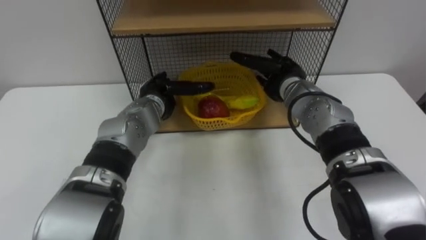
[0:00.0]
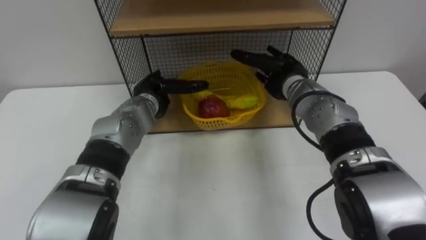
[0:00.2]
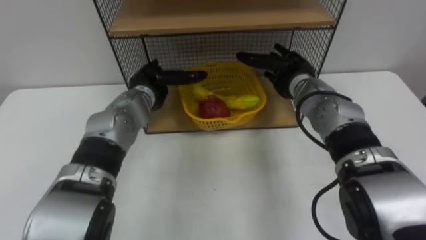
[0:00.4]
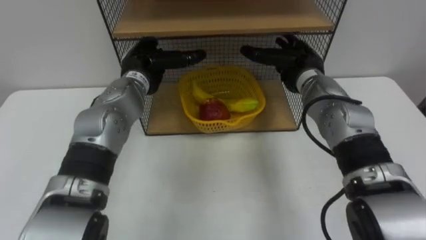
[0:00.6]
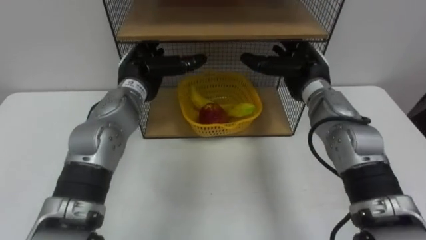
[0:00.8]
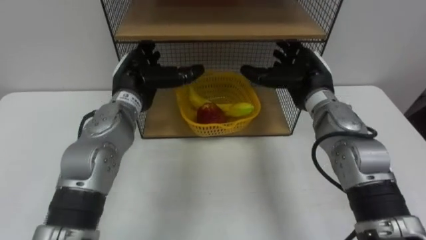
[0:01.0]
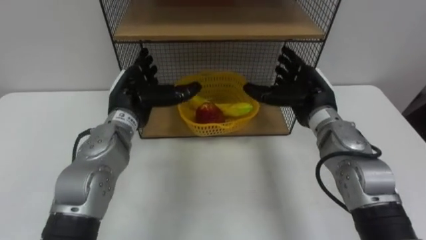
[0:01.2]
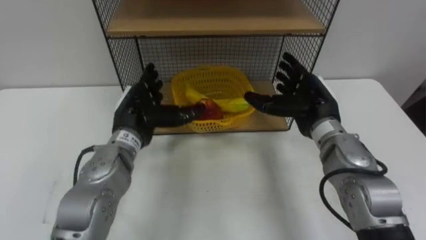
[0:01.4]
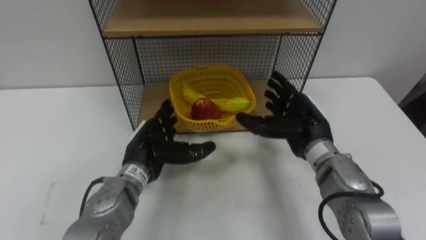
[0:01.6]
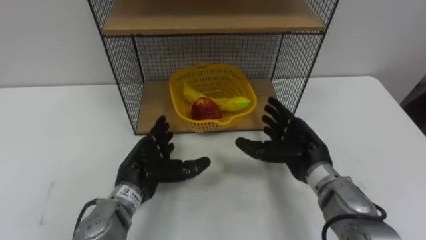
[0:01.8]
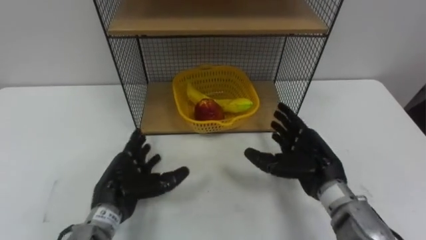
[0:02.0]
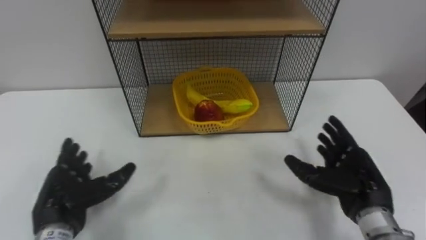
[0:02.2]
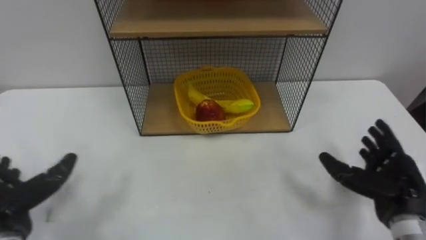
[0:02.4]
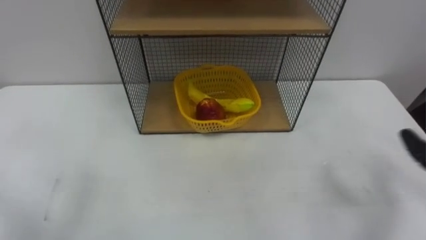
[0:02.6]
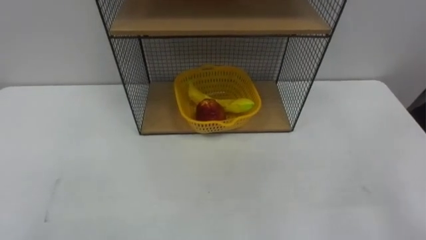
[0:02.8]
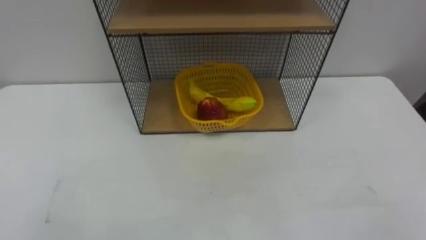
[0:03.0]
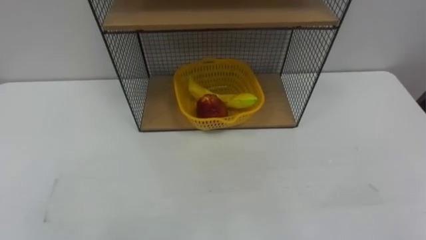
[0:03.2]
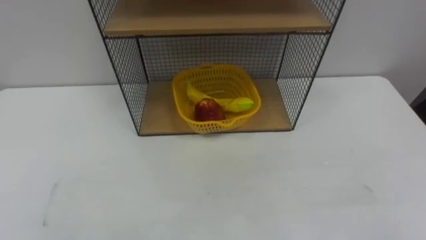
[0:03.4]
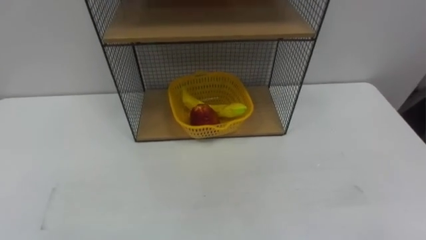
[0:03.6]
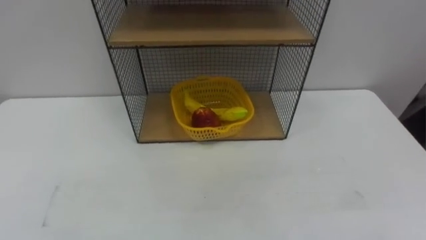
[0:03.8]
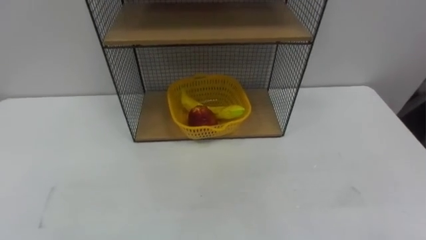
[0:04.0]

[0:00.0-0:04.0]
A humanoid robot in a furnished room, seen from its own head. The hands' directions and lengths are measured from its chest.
Task of the whole recording: Put the fruit on the table into the basket, then place the basket on the shelf.
0:00.0 to 0:01.4: The hands both shift backward by some 10 cm.

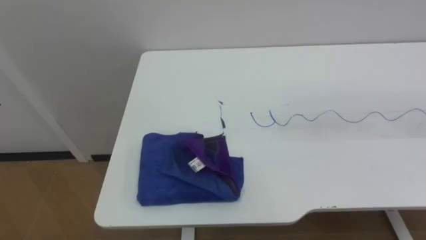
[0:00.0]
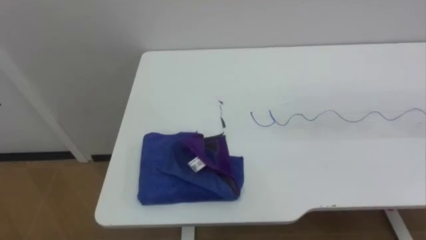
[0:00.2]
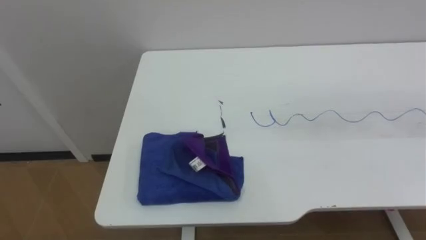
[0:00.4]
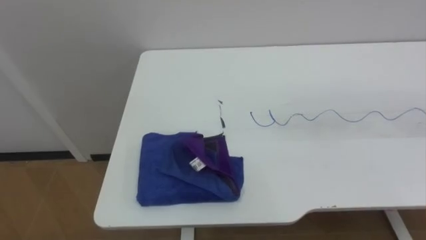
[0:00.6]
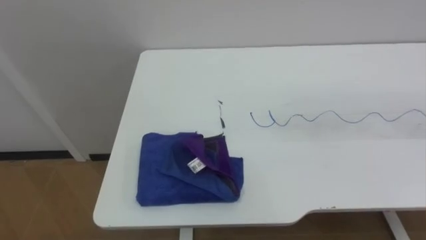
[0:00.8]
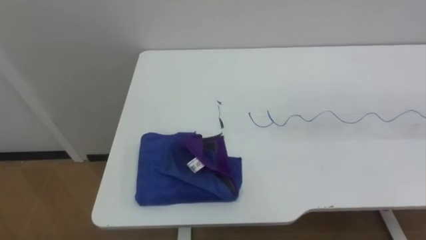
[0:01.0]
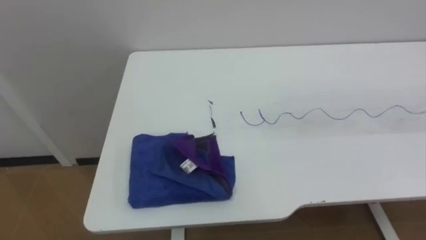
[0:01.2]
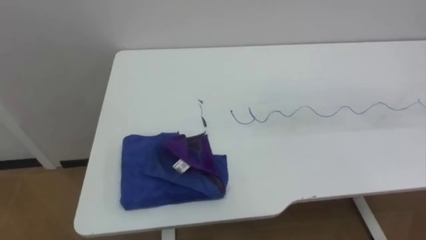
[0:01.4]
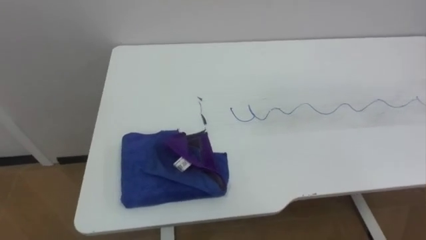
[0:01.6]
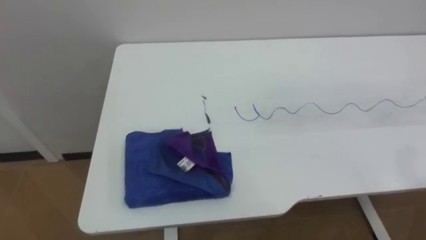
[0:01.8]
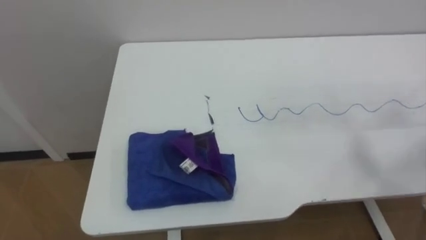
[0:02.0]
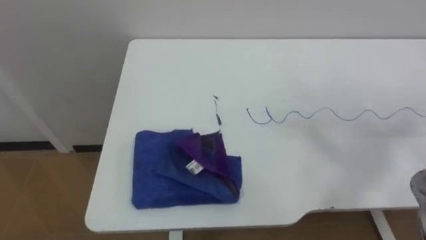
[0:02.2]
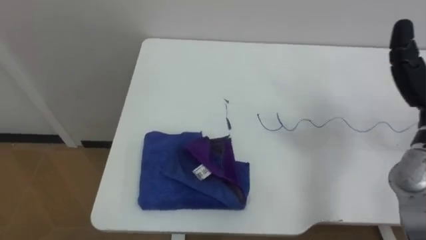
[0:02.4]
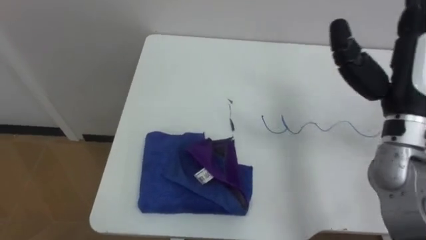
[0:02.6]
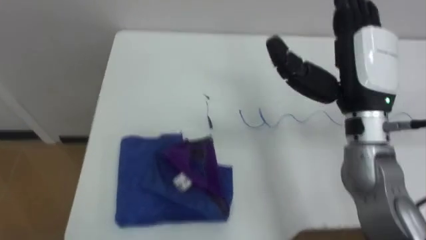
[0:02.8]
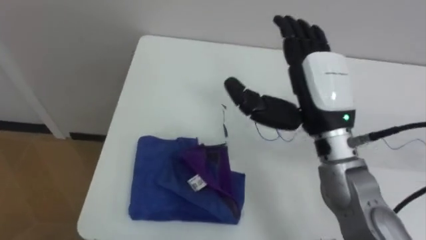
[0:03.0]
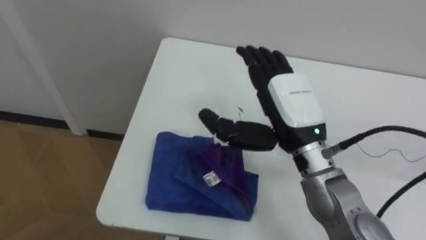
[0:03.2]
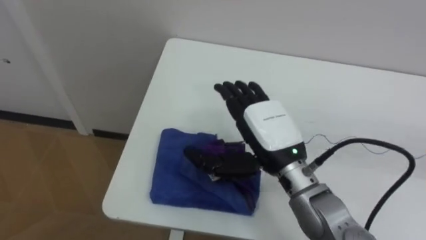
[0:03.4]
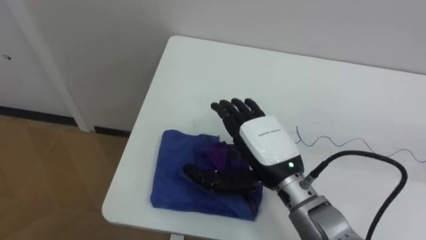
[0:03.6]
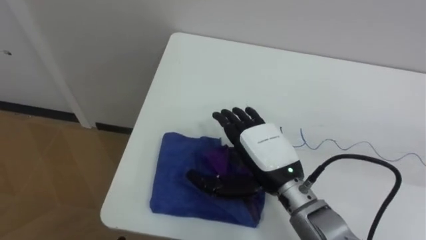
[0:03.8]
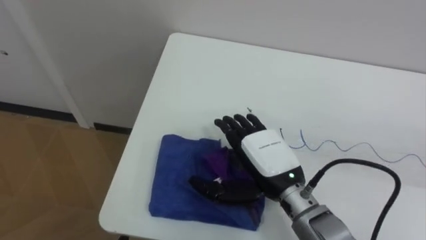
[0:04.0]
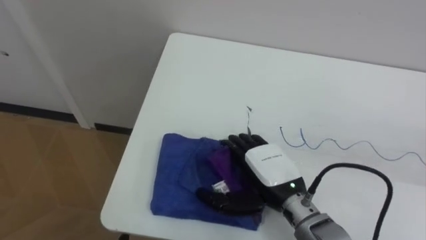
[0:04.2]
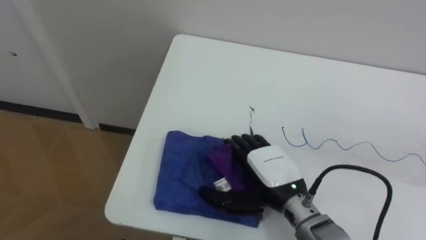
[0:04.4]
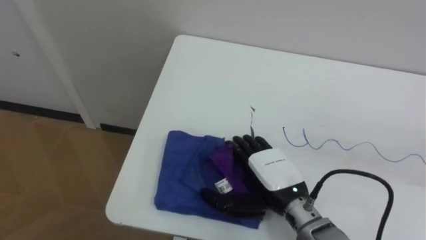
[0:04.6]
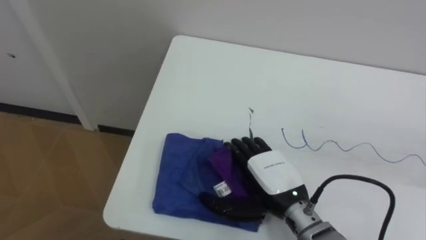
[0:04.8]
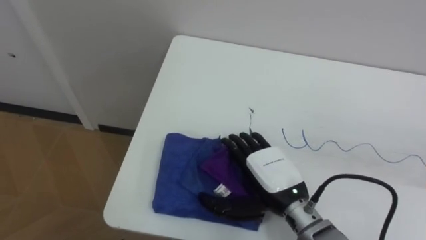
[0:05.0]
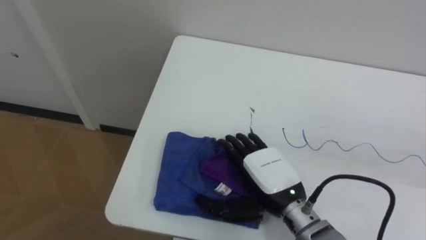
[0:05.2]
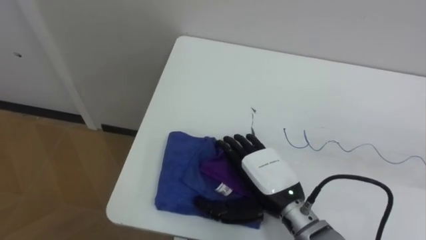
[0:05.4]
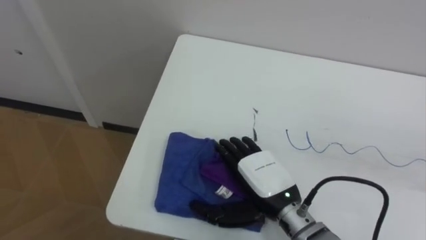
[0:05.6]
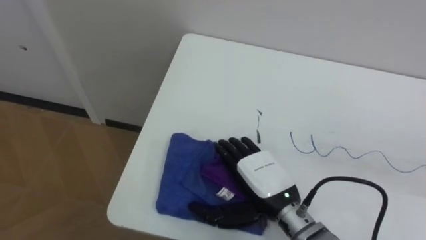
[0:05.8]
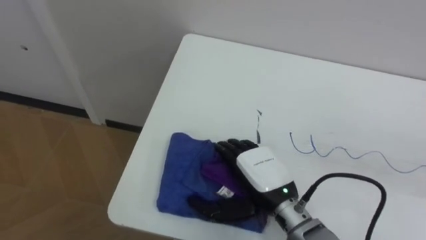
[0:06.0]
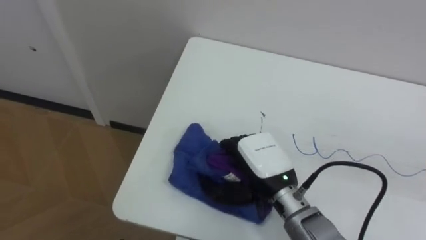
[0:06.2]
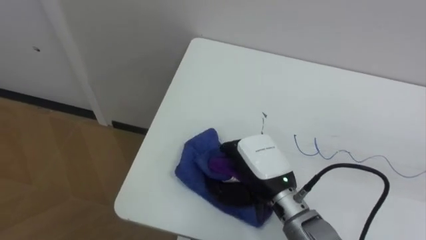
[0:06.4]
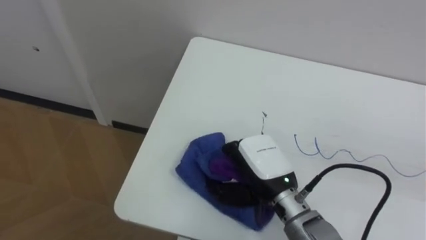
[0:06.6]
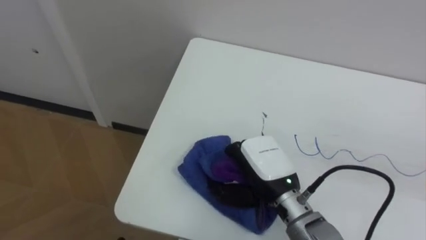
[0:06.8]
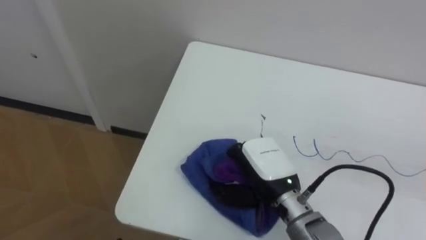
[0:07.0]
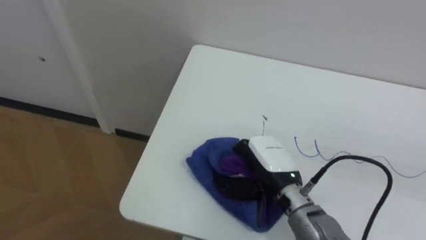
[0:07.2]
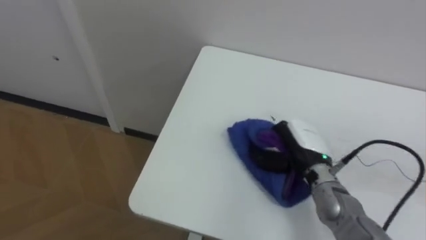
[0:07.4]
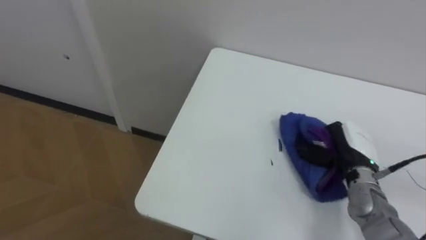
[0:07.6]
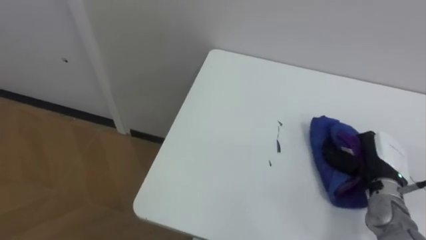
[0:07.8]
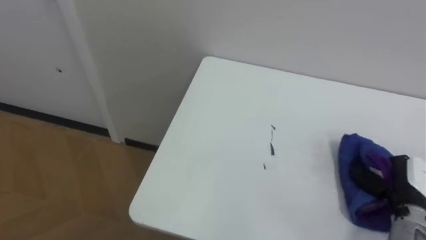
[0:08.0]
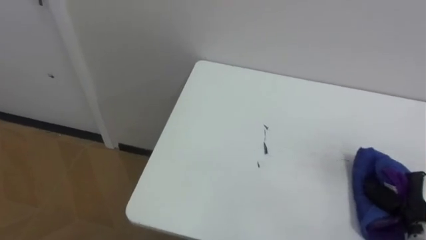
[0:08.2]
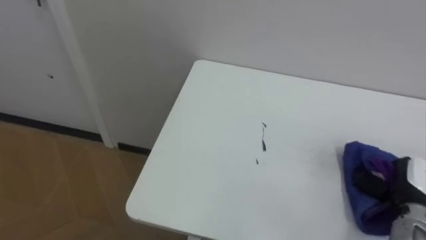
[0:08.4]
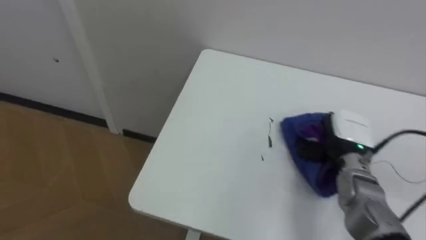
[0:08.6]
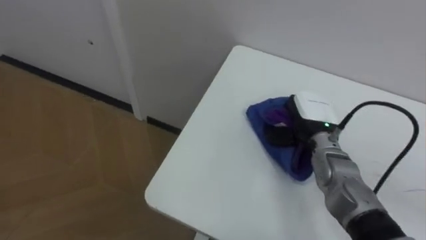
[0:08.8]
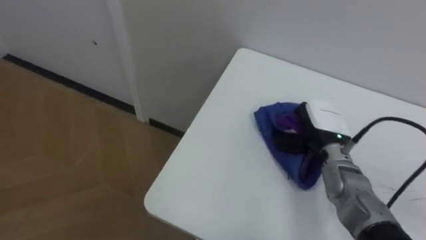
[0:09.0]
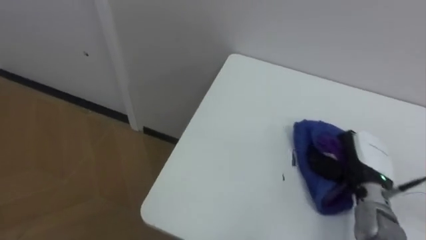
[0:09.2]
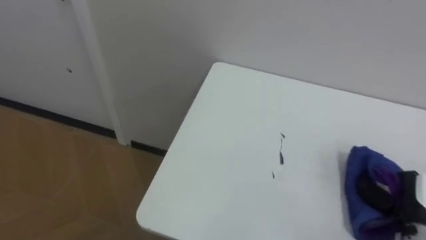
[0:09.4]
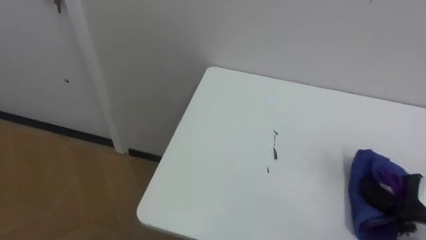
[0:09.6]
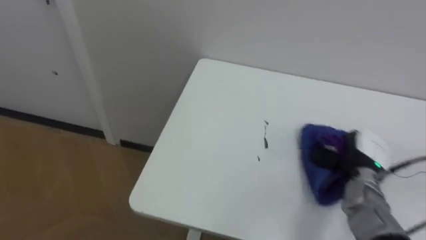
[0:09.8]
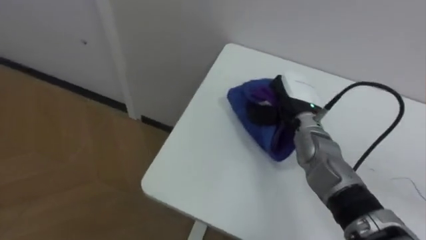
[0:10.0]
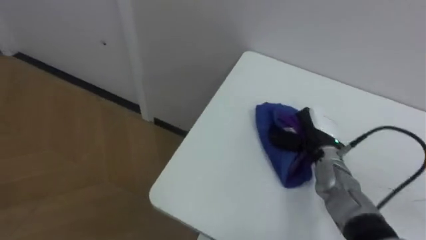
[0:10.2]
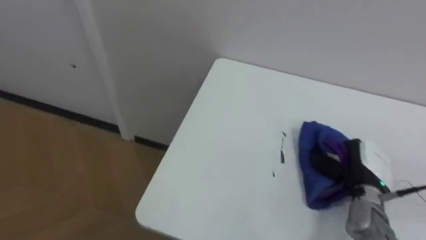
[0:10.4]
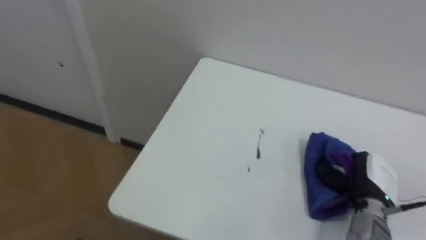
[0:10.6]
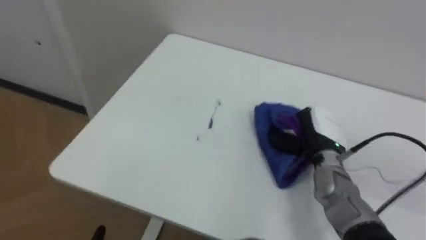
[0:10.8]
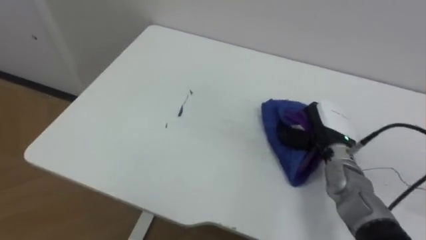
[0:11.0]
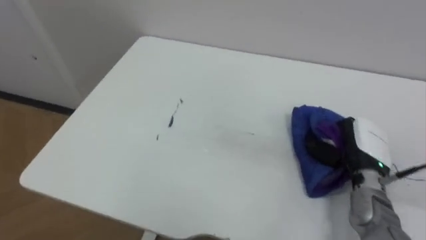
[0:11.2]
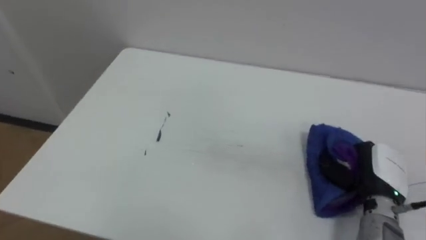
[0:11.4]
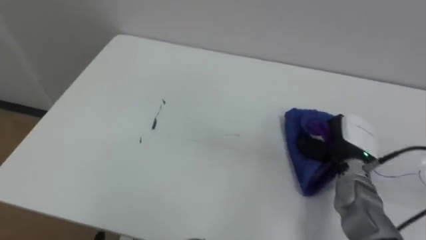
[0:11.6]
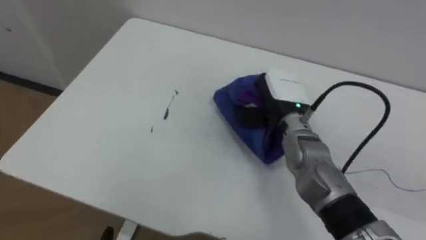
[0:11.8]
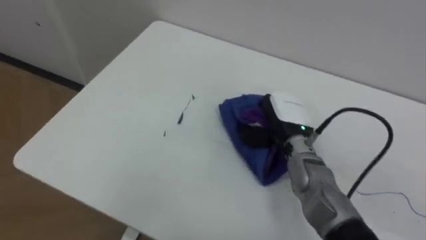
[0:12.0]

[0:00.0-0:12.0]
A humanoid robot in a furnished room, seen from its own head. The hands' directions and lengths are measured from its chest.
Task of the whole recording: Wipe the blue pen marks off the table with the rag.
0:03.0 to 0:04.4: The right hand travels downward by about 15 cm.
0:06.0 to 0:07.6: The right hand shifts about 20 cm to the right, and closes its fingers.
0:07.6 to 0:09.0: The right hand moves some 10 cm to the right and comes back.
0:09.0 to 0:10.4: The right hand swings left and right, approximately 20 cm each way, with 2 reversals.
0:10.4 to 0:12.0: The right hand moves left and right over about 20 cm, changing direction 2 times.

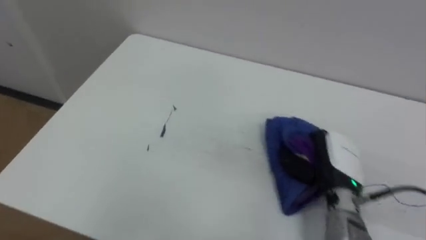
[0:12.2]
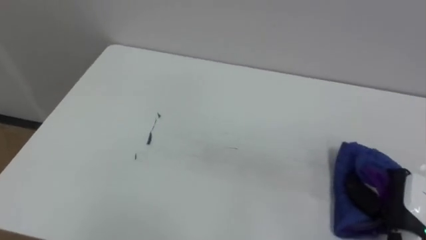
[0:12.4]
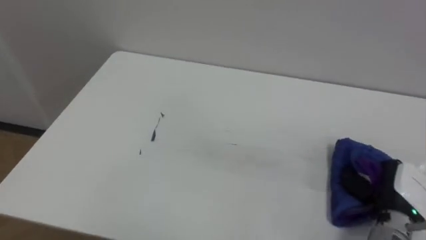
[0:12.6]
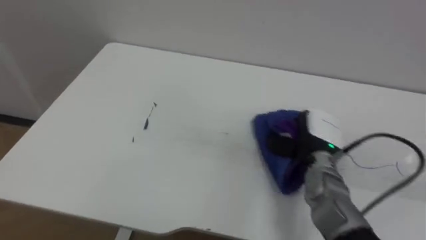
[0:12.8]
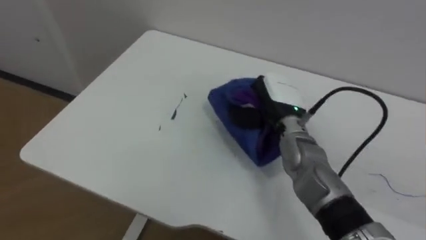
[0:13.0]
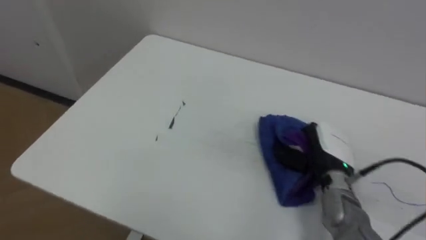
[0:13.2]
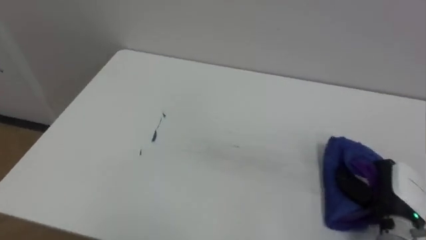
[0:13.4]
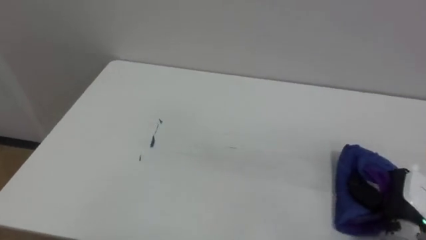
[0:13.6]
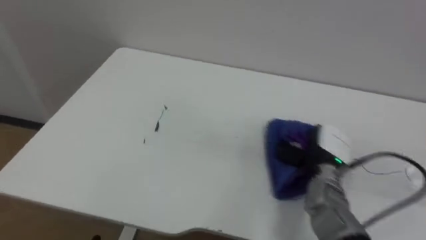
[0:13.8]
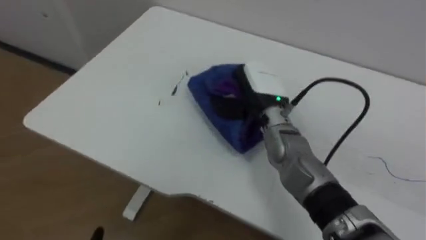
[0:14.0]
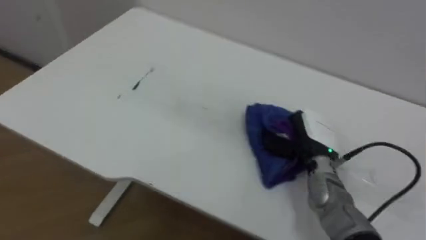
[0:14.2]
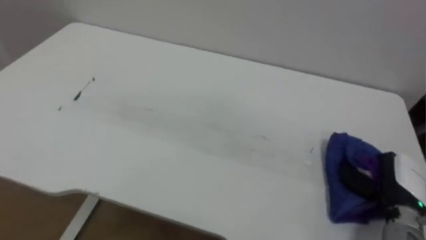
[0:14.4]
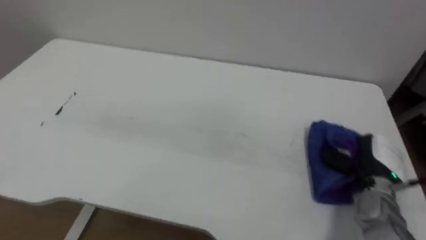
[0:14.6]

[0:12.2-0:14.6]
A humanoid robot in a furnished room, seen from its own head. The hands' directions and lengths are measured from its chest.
Task of the whole recording: Wipe the blue pen marks off the table with the rag.
0:12.2 to 0:13.4: The right hand swings left and right, approximately 20 cm each way, with 2 reversals.
0:13.4 to 0:14.6: The right hand goes about 5 cm forward, and travels to the left and back again, some 25 cm each way.
